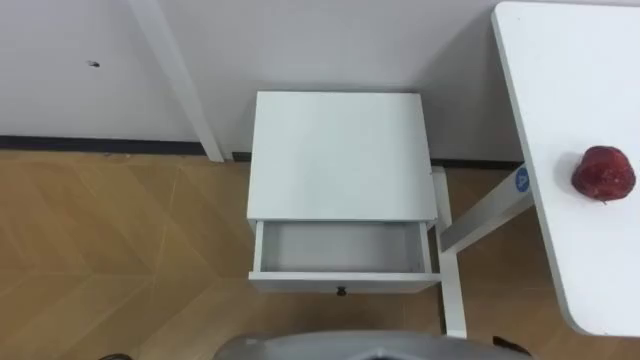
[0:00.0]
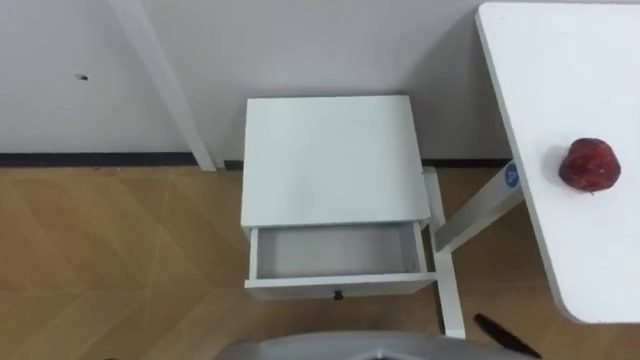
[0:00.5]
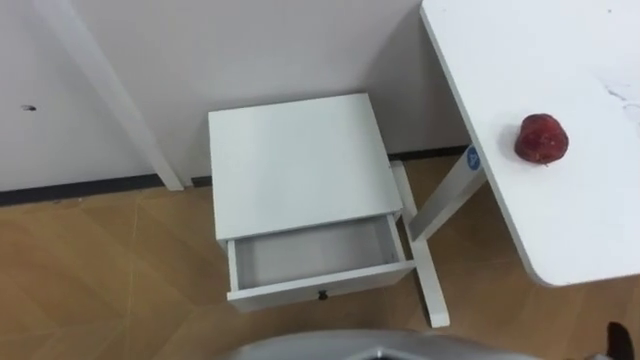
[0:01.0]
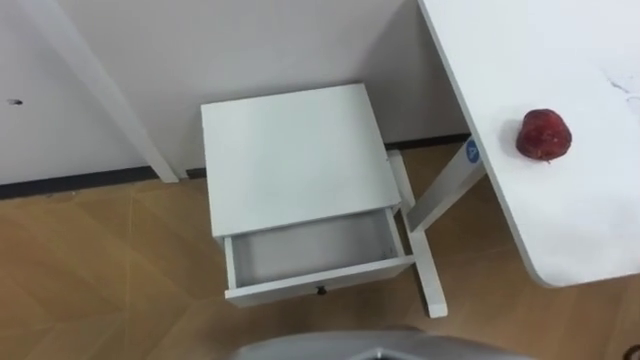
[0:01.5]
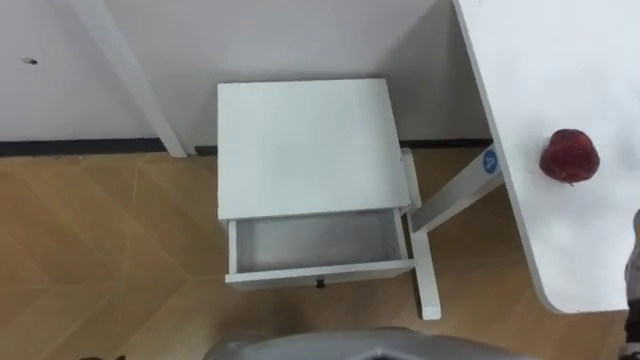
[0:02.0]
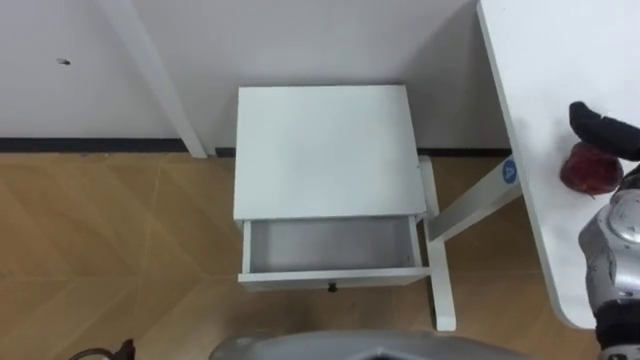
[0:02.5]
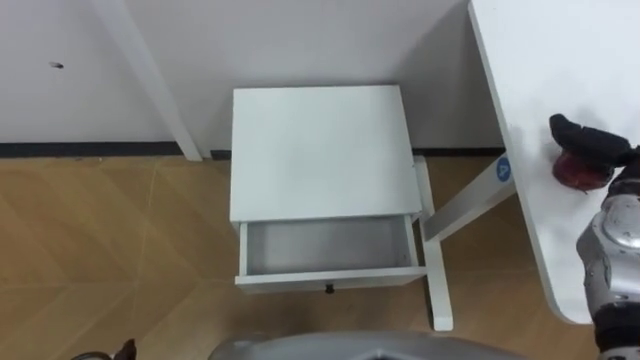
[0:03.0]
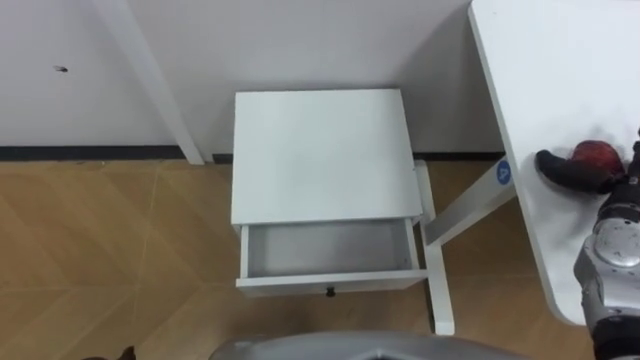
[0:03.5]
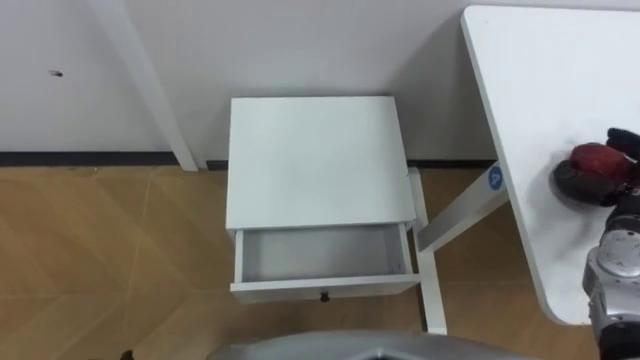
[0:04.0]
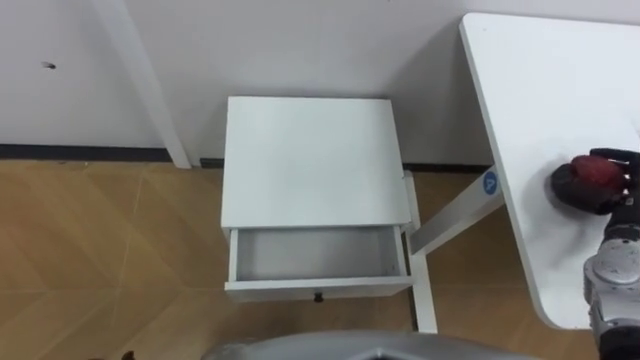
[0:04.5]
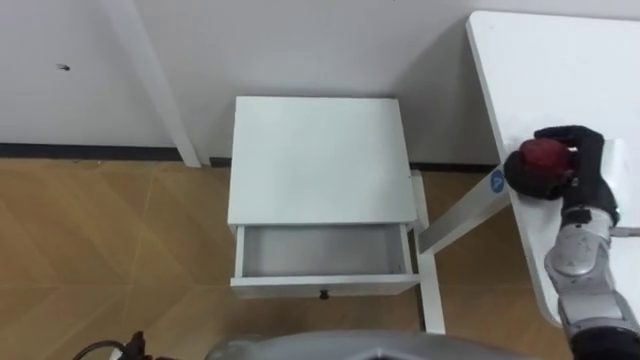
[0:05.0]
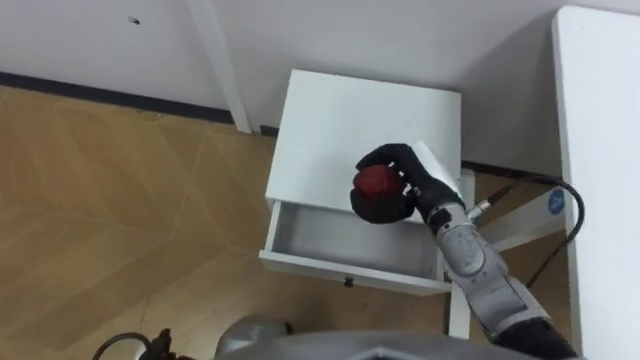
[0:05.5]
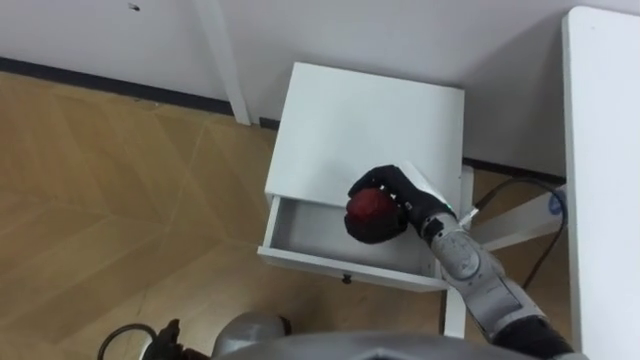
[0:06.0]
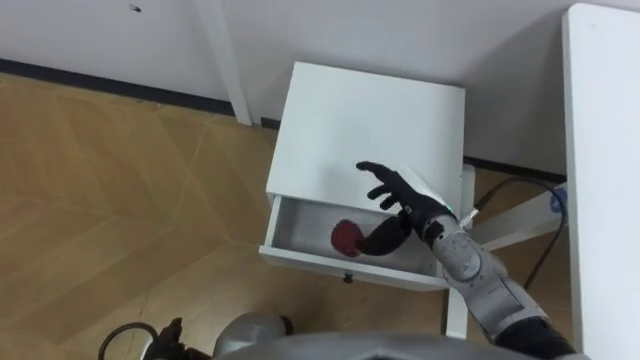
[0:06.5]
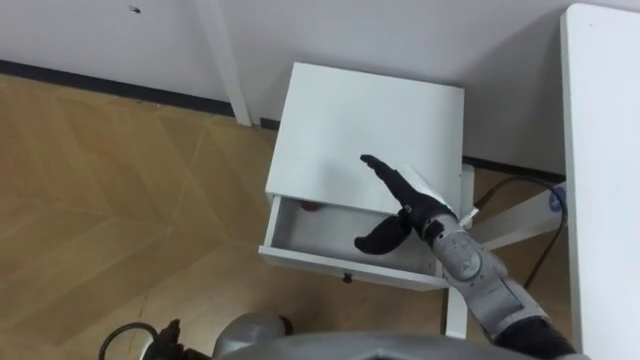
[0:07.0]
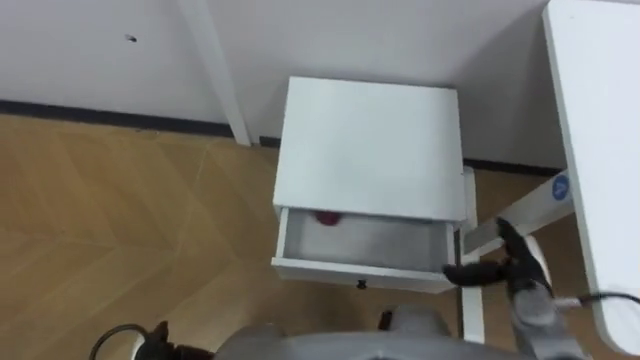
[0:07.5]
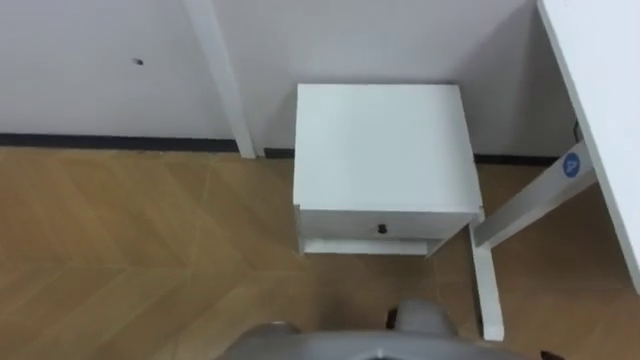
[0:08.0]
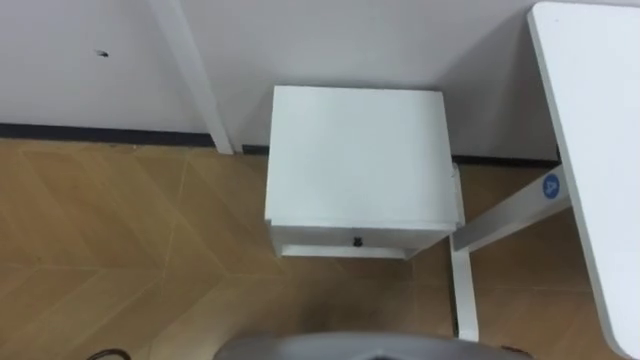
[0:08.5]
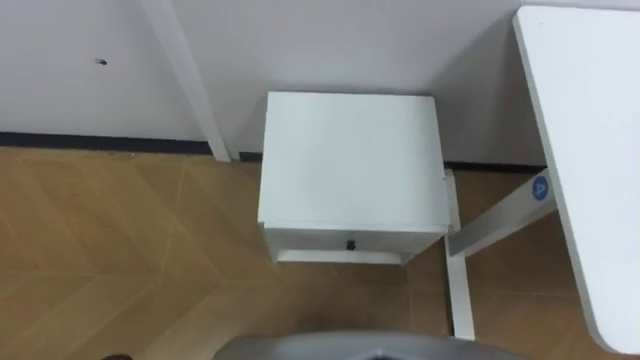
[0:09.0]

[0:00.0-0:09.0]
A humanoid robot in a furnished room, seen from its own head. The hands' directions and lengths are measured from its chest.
Task of the whole recording: Pick up the apple from the table, put it in the drawer, and close the drawer with leg.
0:04.5 to 0:07.0: The right hand heads to the left, covering approximately 25 cm, and opens up.

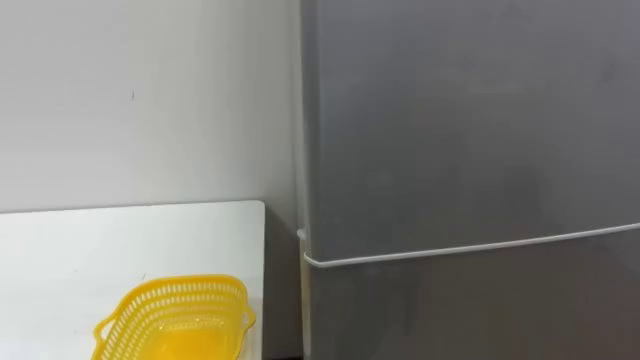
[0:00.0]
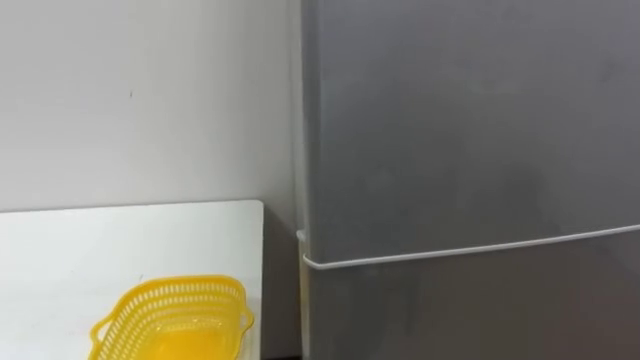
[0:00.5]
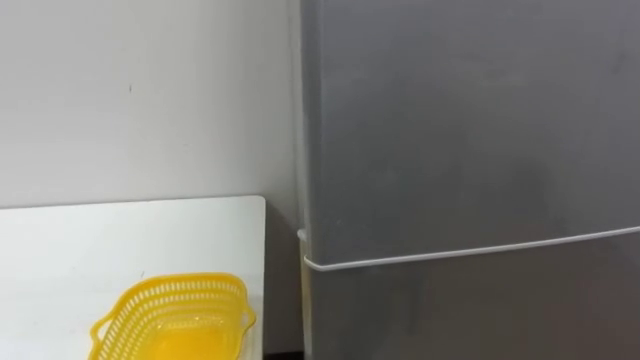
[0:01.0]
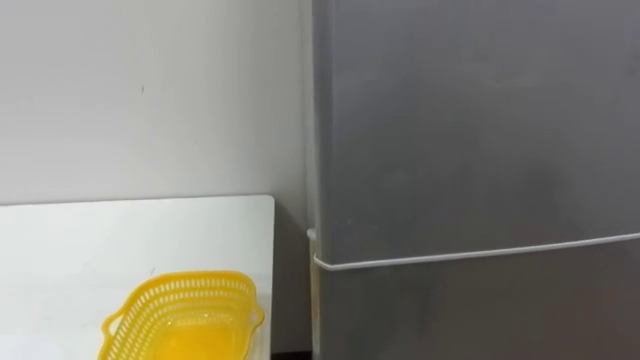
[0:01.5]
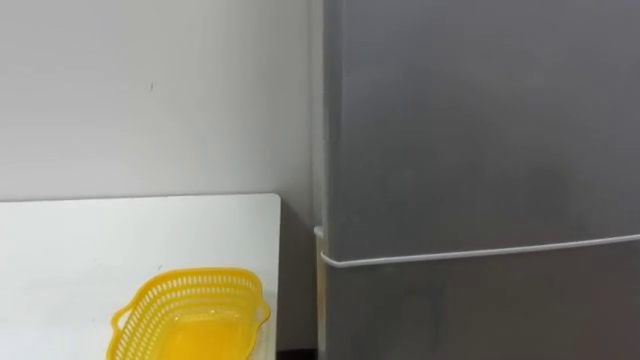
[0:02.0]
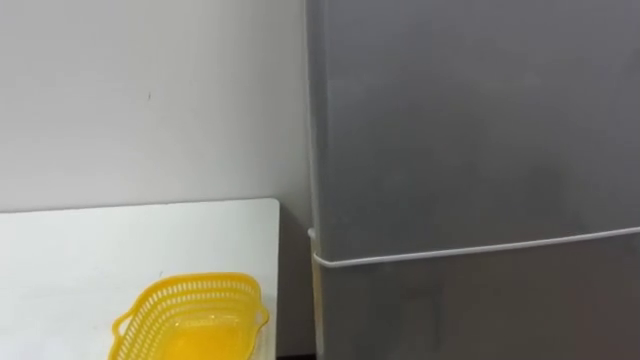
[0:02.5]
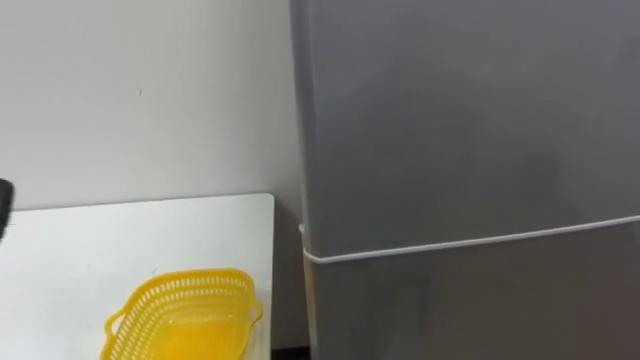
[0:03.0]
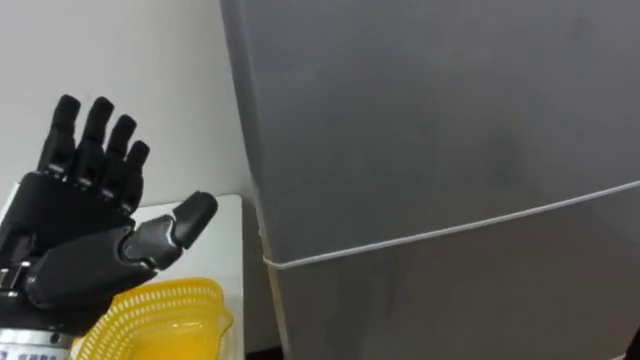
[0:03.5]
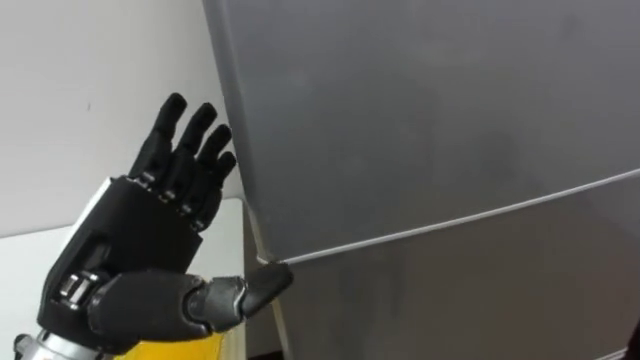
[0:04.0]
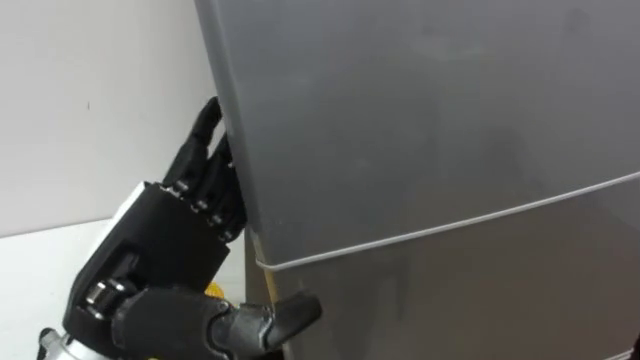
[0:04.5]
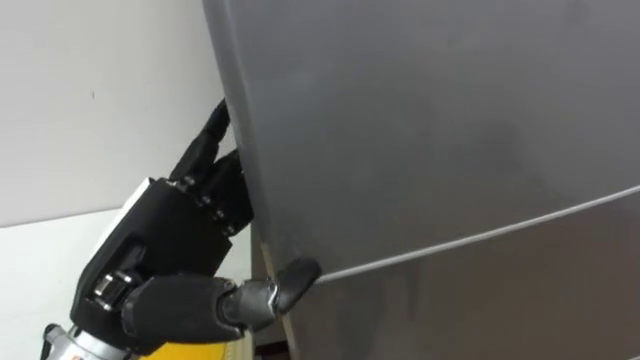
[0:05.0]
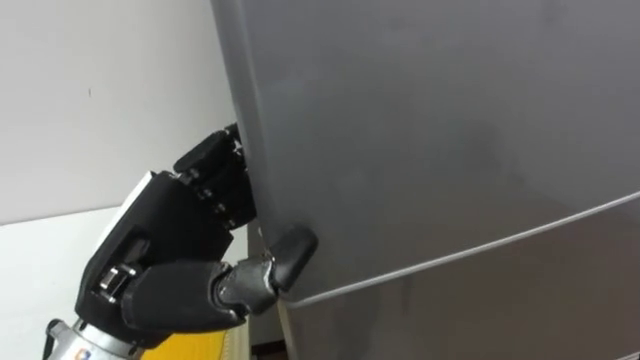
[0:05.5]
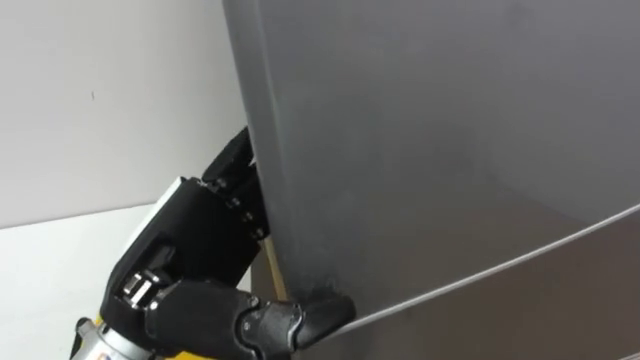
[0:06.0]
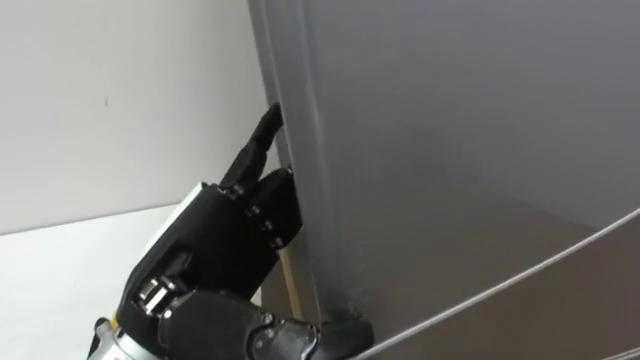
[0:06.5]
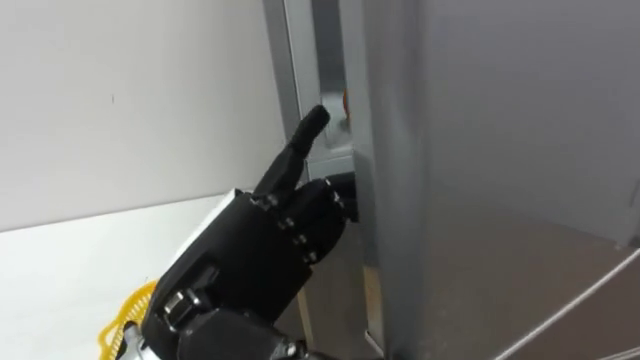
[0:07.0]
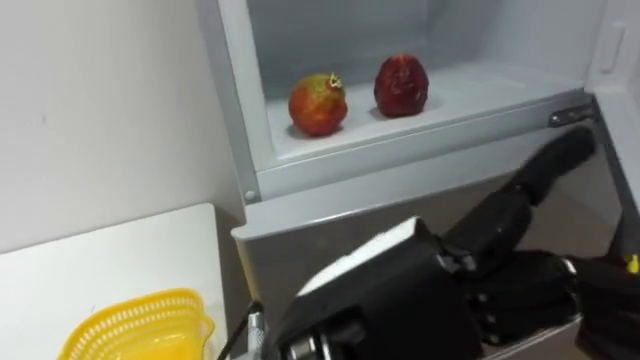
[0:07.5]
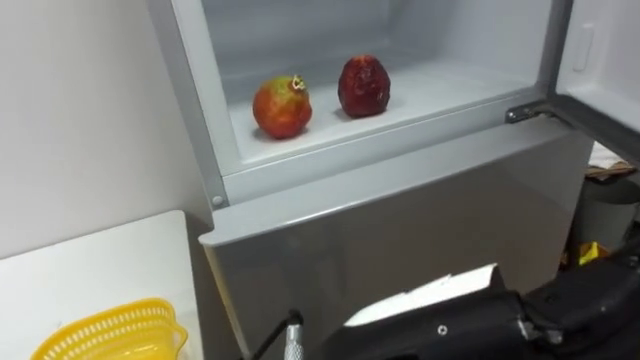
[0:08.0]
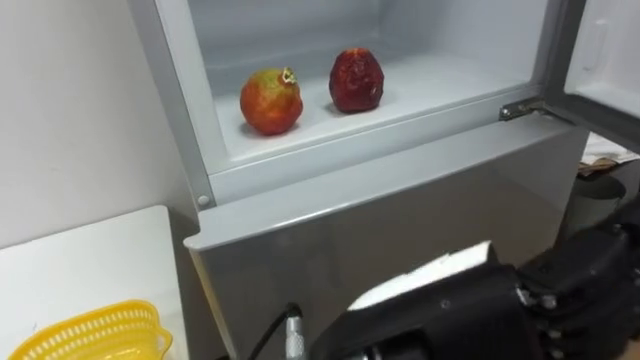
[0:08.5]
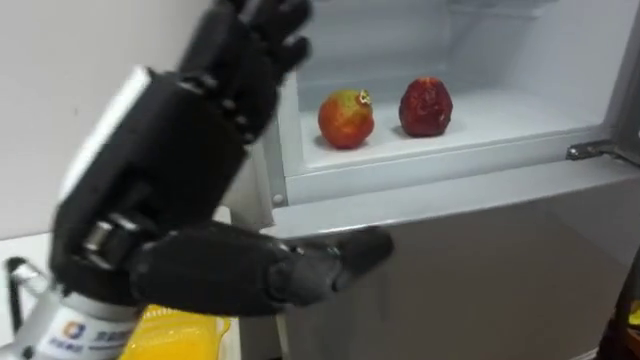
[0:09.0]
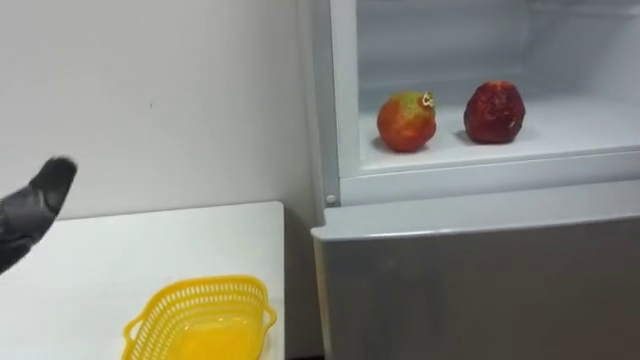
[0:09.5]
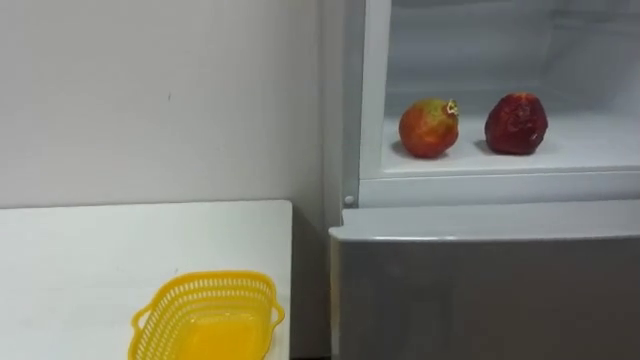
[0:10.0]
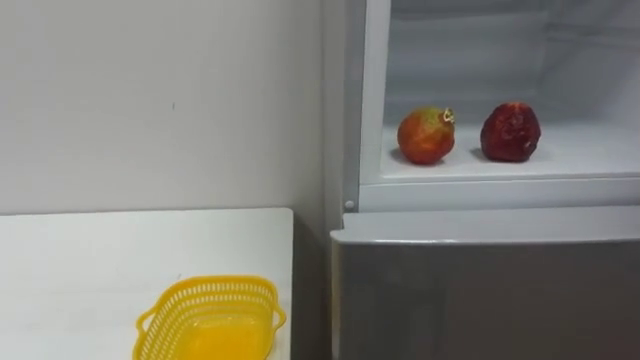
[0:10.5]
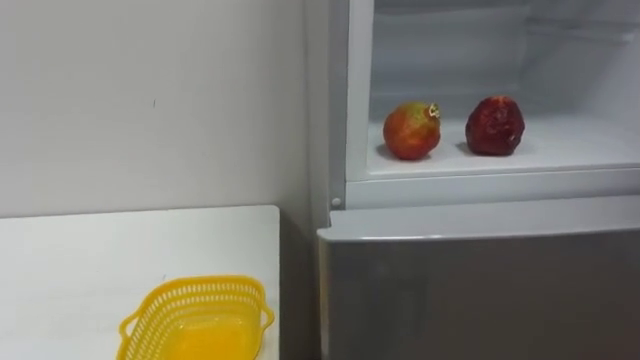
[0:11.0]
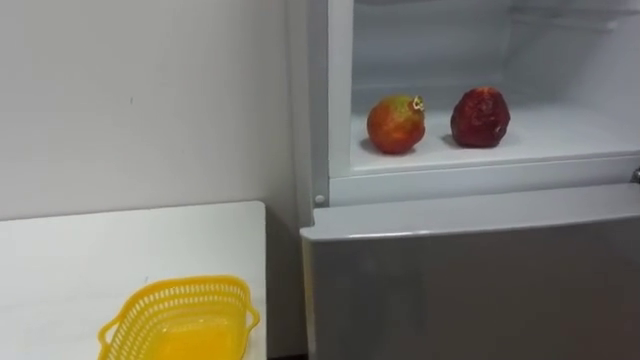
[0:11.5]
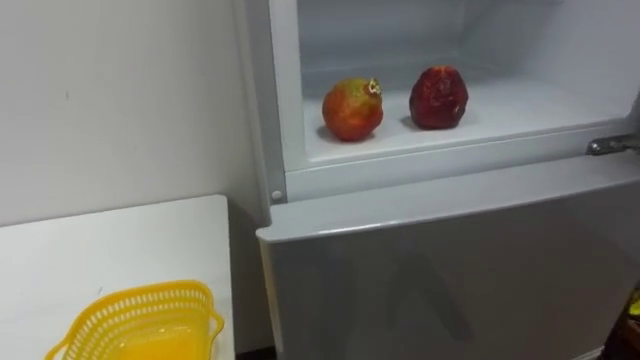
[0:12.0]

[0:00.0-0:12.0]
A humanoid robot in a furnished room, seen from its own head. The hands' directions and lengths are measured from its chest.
Task of the whole recording: Open the refrigerator door, take out the apple and the pomegranate, place them in the fruit basket on the left, and close the refrigerator door.
0:04.0 to 0:06.0: The left hand closes, then reopens.
0:06.0 to 0:08.0: The left hand shifts roughly 15 cm to the right and backward.
